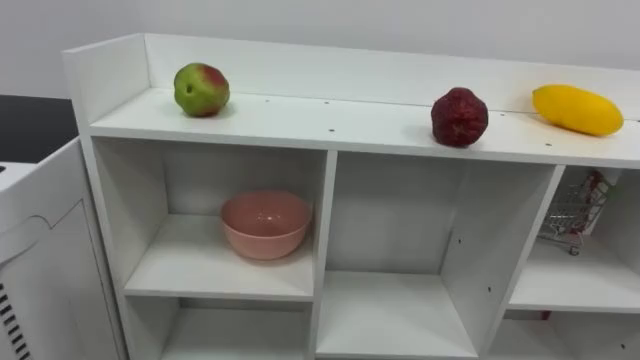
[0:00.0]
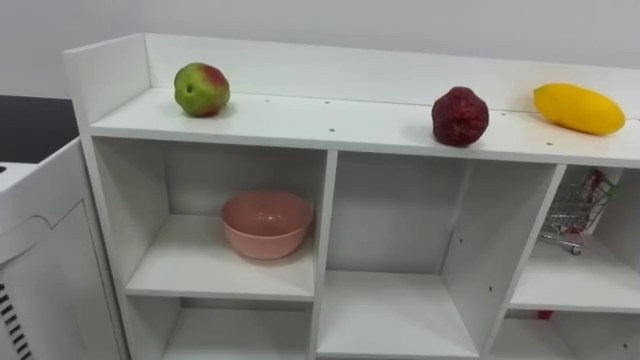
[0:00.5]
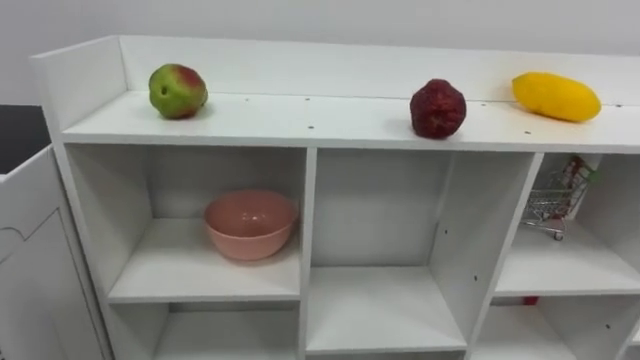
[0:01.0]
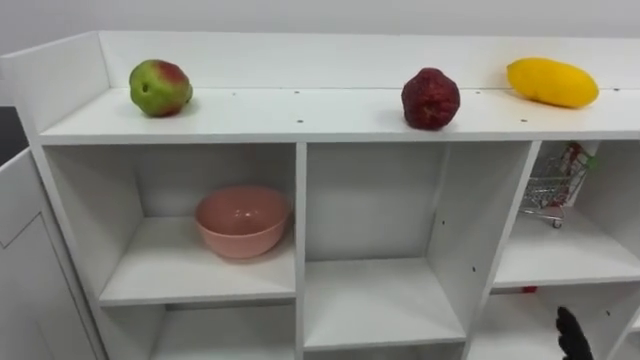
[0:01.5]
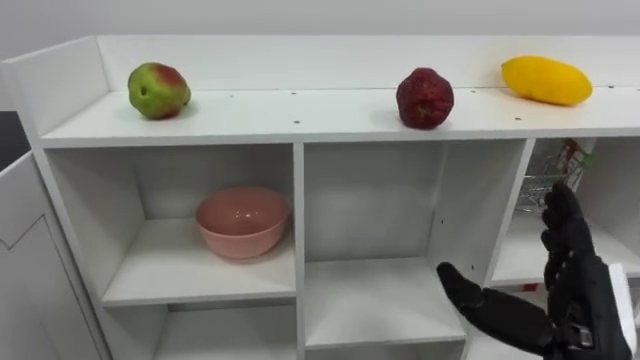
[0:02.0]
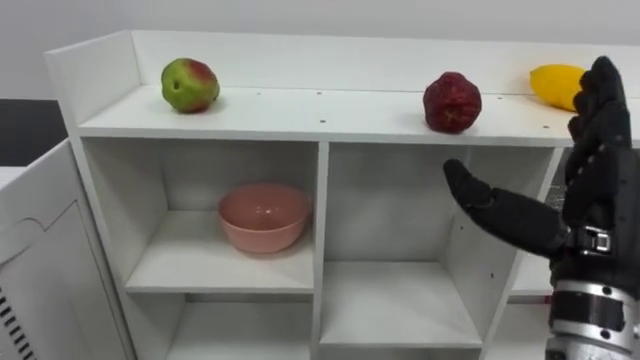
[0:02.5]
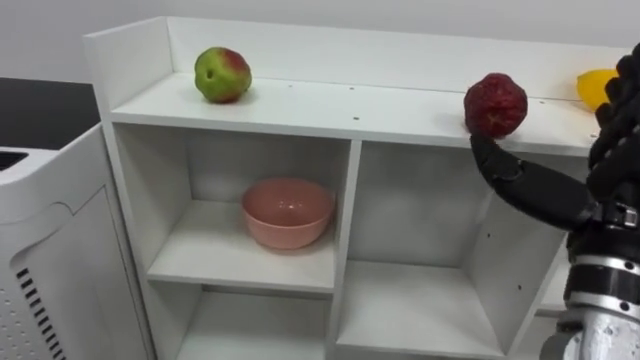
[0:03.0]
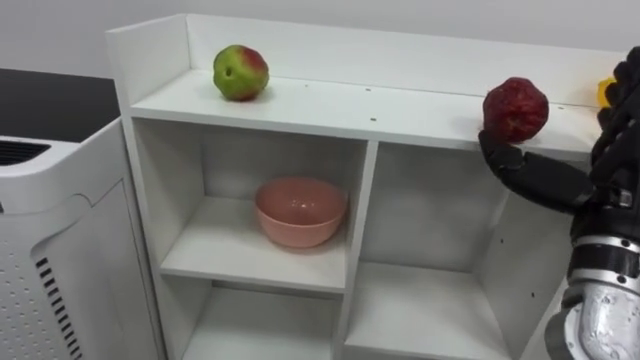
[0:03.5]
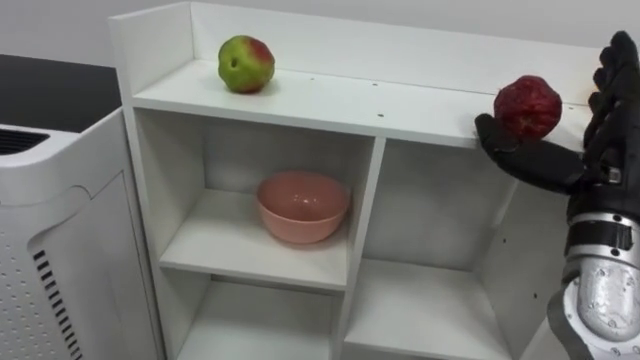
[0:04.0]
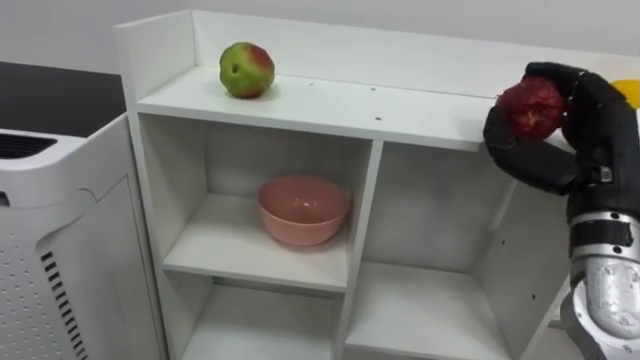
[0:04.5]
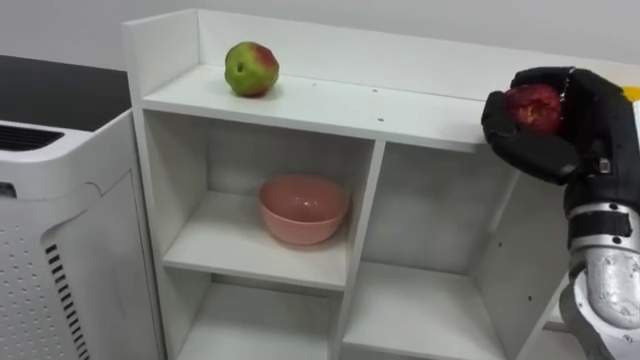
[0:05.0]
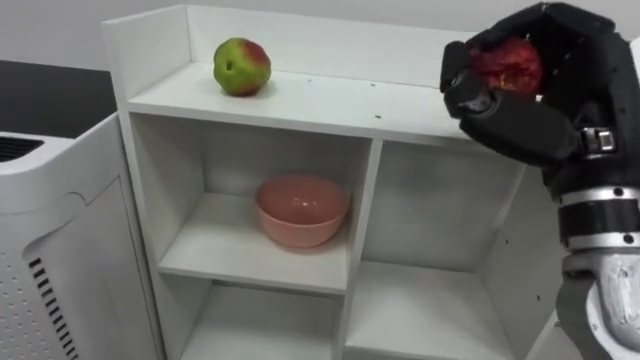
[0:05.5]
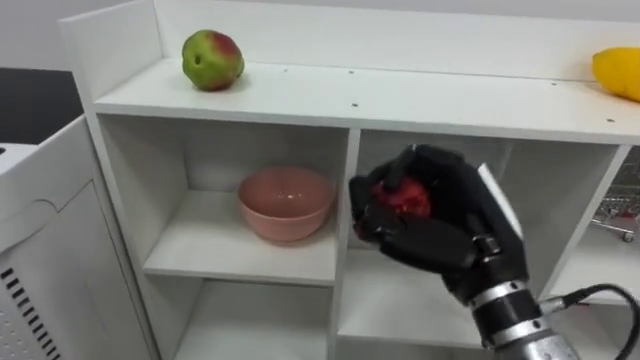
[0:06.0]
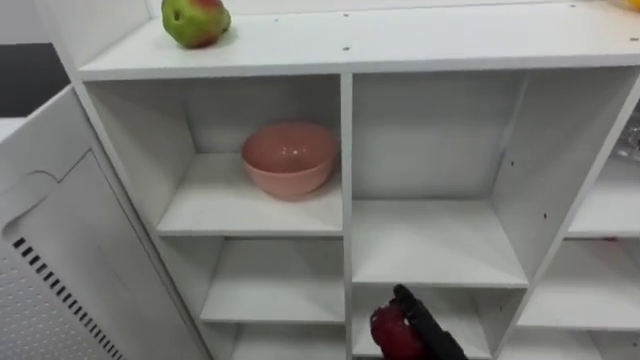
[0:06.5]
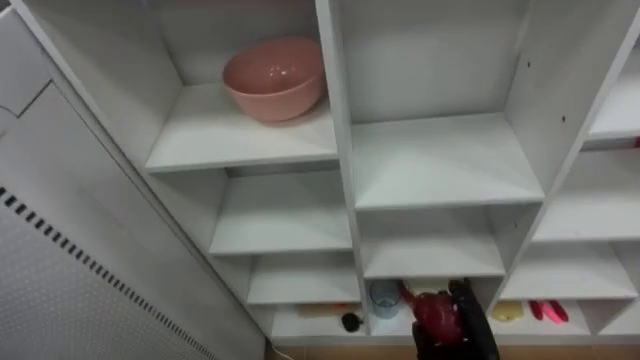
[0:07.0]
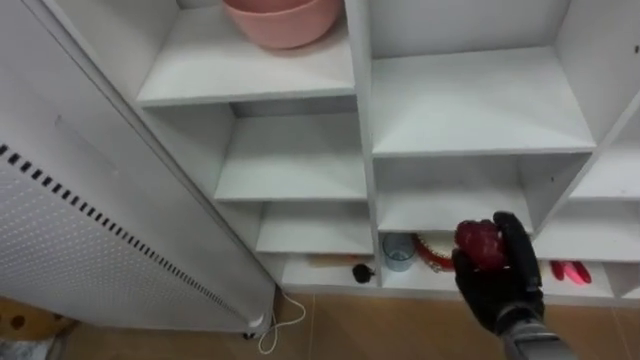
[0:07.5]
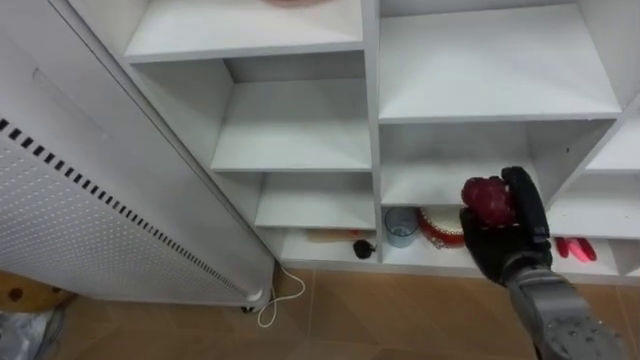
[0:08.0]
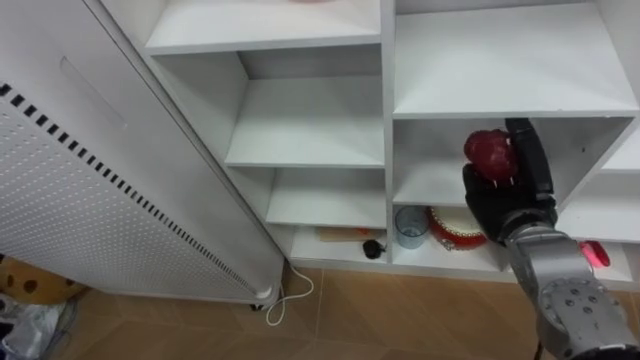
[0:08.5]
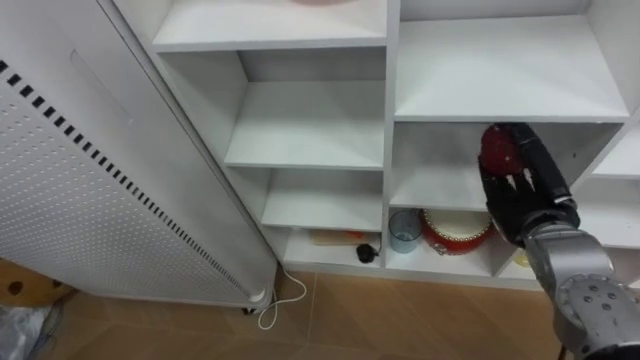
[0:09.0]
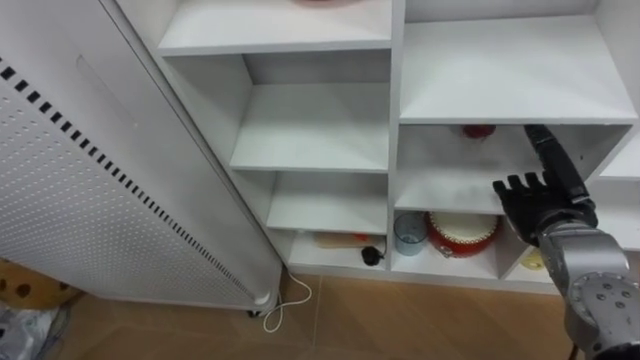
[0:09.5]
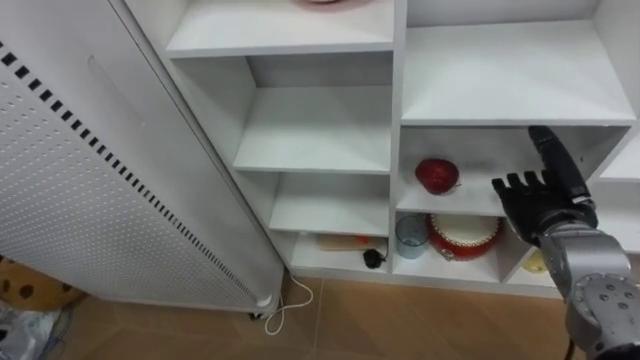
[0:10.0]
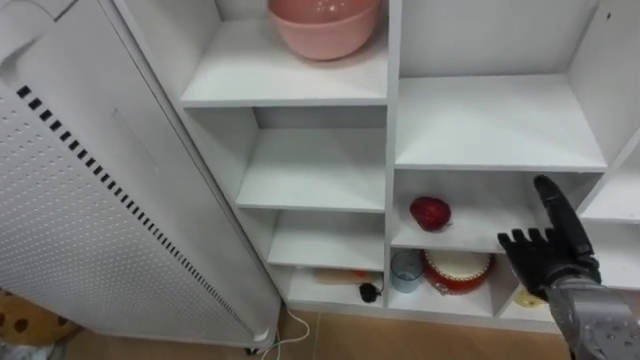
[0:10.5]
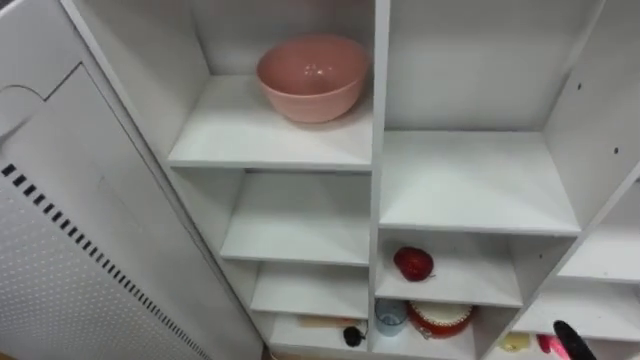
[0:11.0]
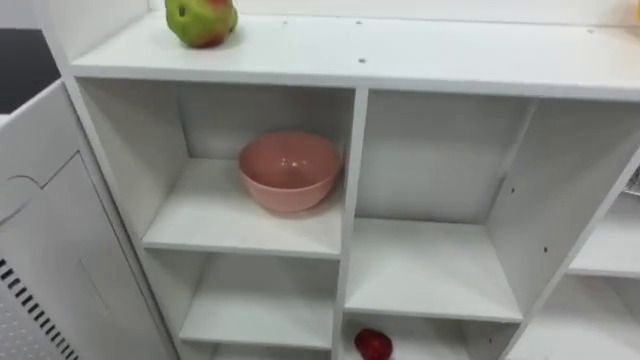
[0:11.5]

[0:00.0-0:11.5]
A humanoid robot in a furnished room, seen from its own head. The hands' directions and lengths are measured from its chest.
Task of the whole recording: Put the apple in the cell in the second column from the left and the second row from the top.
0:02.0 to 0:04.0: The right hand travels upward and forward by roughly 15 cm.
0:04.0 to 0:06.0: The right hand shifts some 10 cm to the left, and closes.
0:07.5 to 0:09.5: The right hand heads upward, covering some 10 cm, and opens.

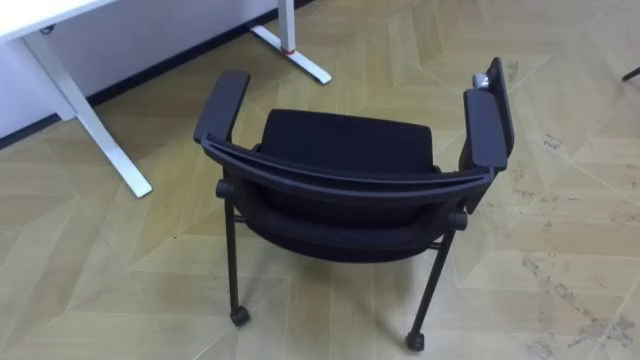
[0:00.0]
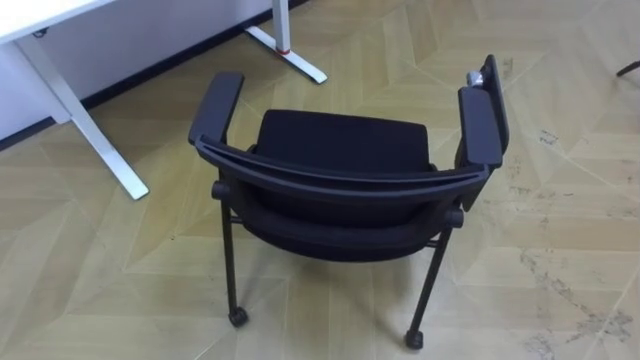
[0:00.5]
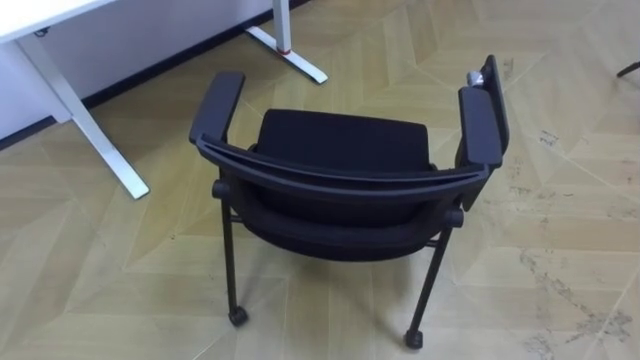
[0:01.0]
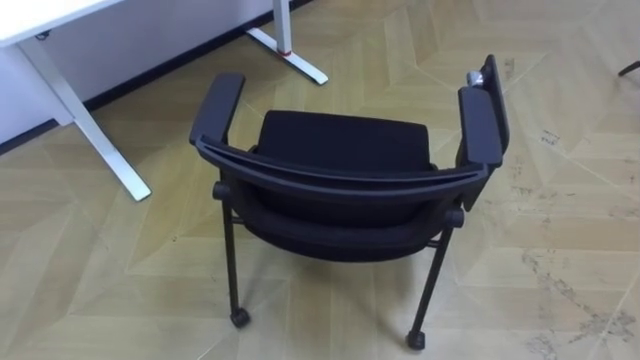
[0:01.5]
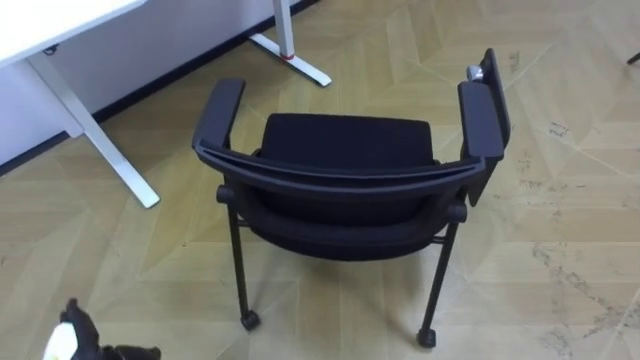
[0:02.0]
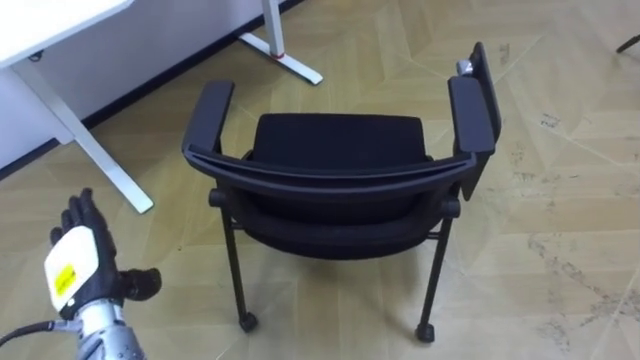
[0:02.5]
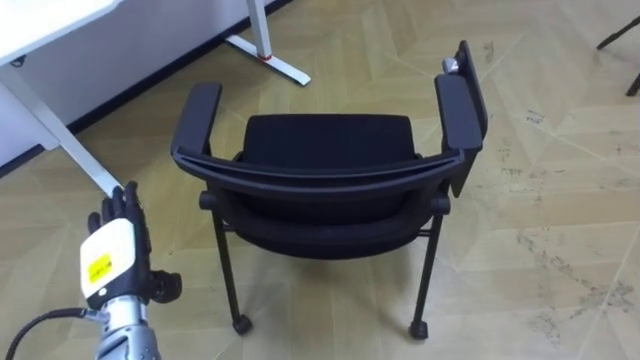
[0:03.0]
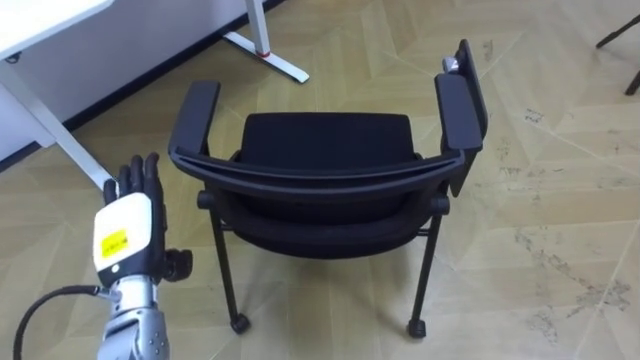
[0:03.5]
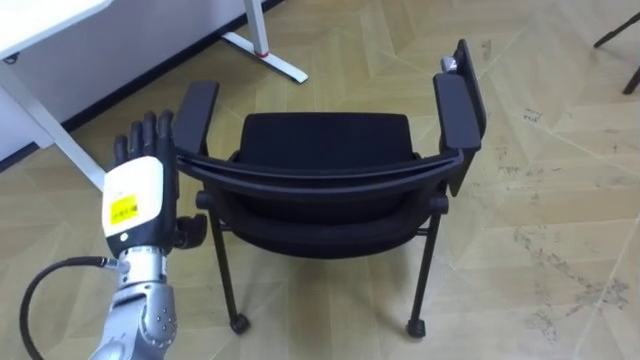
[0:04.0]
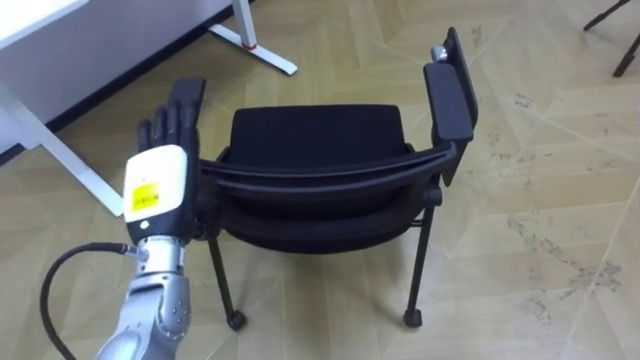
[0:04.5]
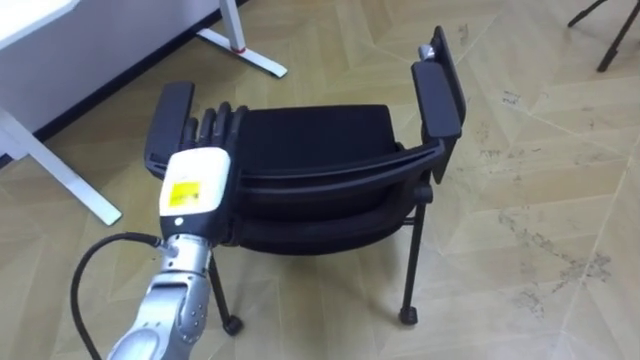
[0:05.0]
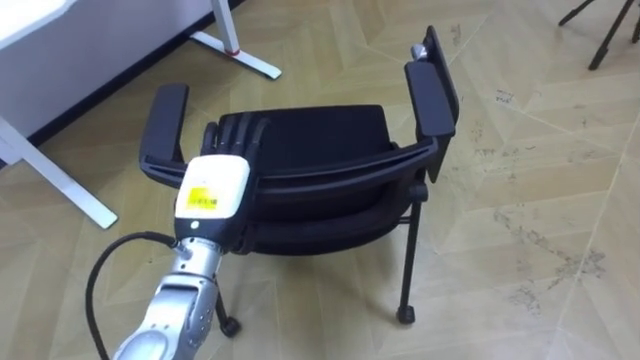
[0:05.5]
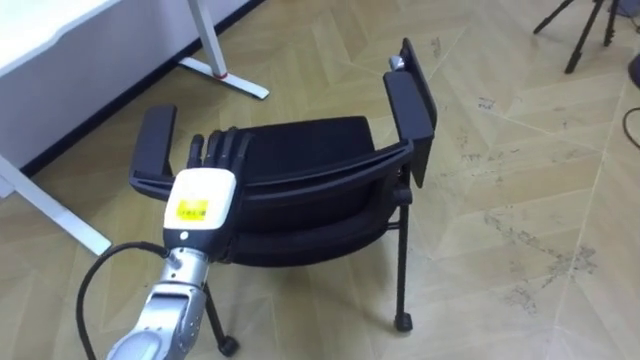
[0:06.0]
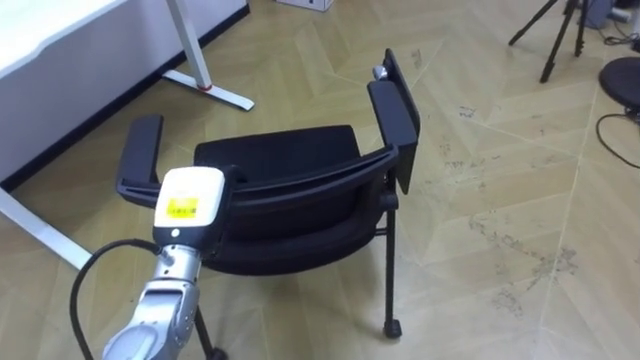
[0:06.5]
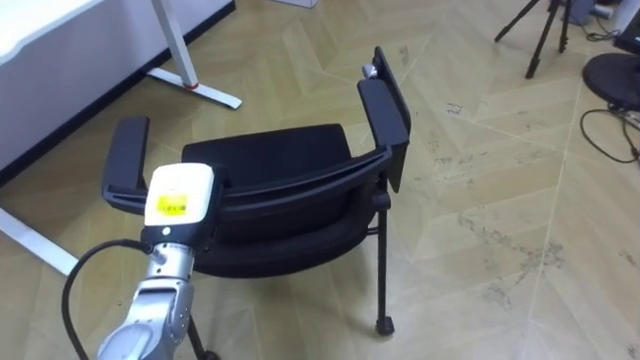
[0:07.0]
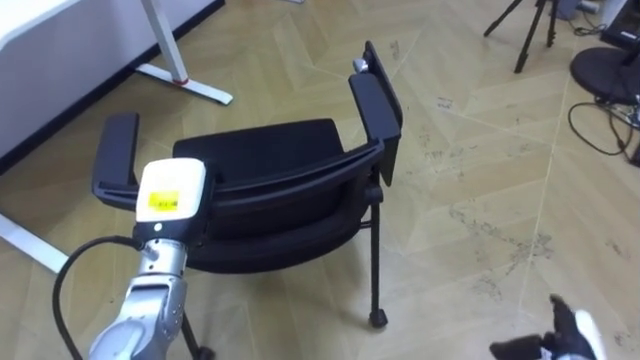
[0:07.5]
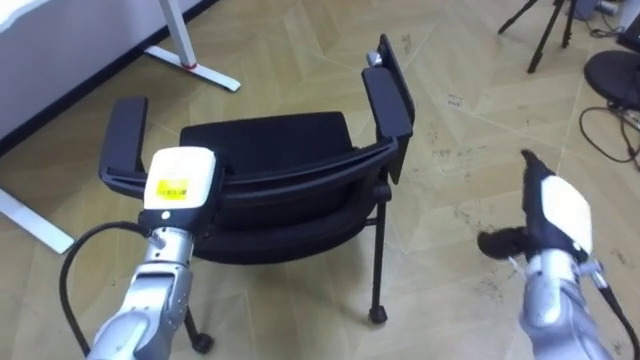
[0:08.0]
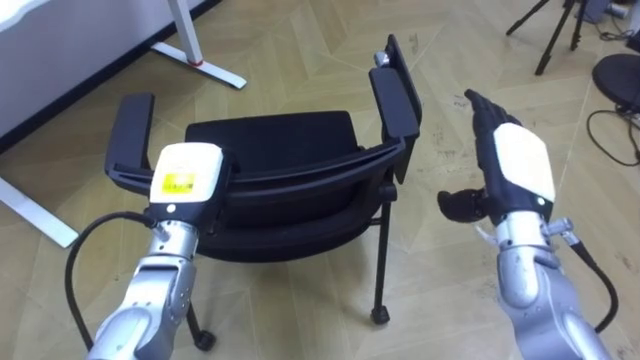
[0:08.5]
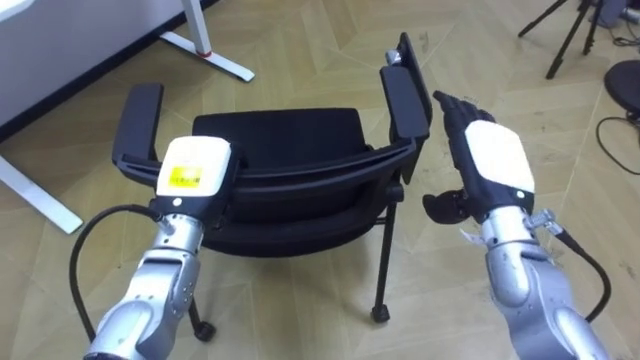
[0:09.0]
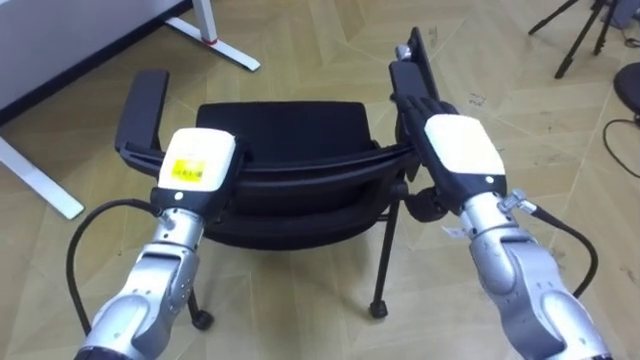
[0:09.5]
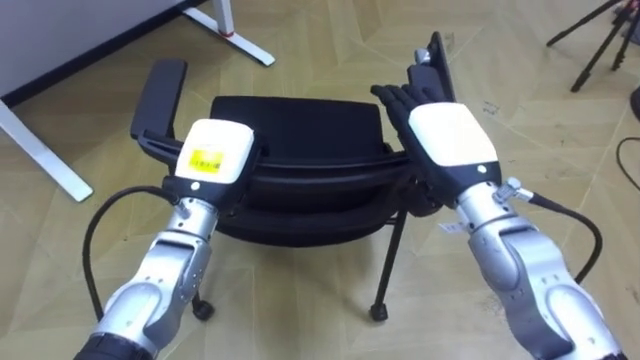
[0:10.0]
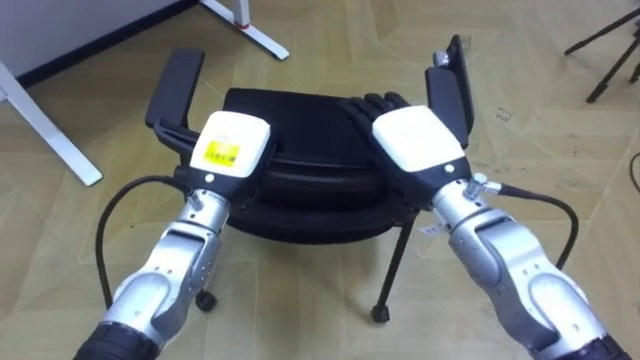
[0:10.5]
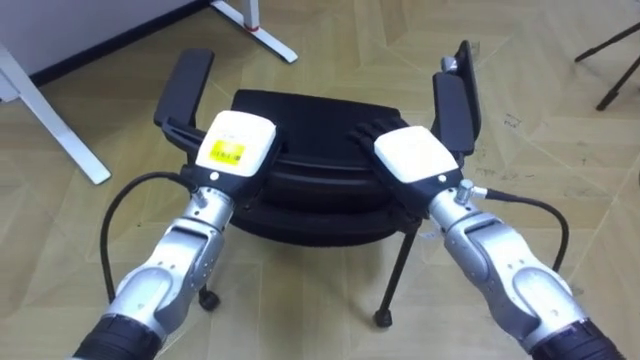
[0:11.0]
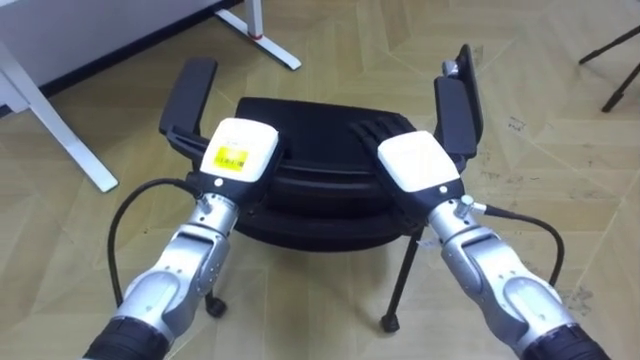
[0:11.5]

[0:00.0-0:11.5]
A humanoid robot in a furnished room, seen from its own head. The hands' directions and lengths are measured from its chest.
Task of the whole recording: Push the chair under the table.
0:02.0 to 0:04.0: The left hand heads upward, forward and to the right, covering approximately 25 cm.
0:04.0 to 0:06.0: The left hand is displaced to the right by some 5 cm.
0:06.0 to 0:07.5: The left hand closes its fingers.
0:07.5 to 0:09.5: The left hand ends up approximately 5 cm from where it was, while the right hand goes some 35 cm upward, to the left and forward.
0:09.5 to 0:11.5: The left hand shifts by approximately 5 cm; the right hand changes place by approximately 5 cm.